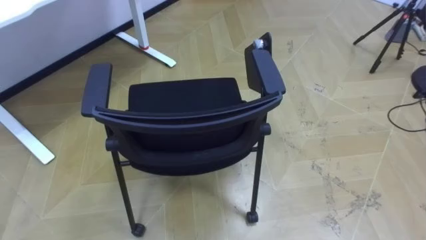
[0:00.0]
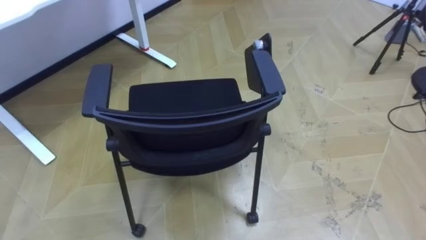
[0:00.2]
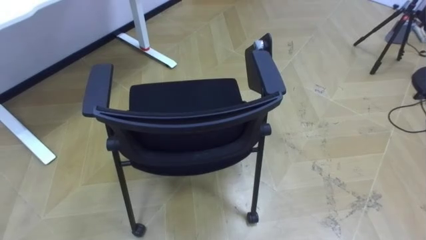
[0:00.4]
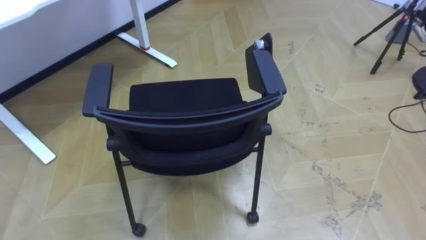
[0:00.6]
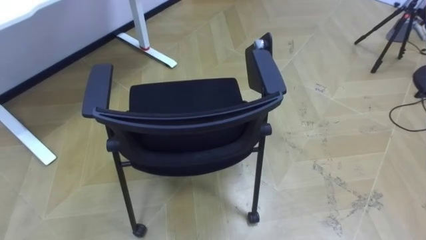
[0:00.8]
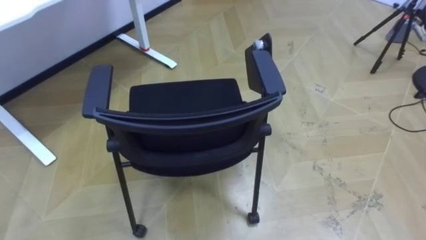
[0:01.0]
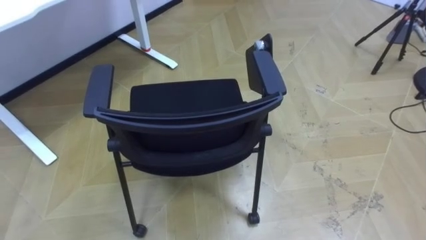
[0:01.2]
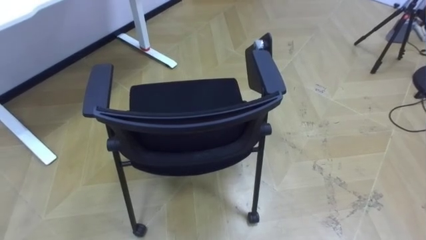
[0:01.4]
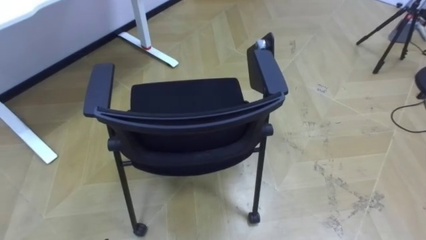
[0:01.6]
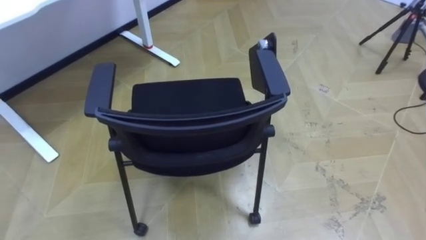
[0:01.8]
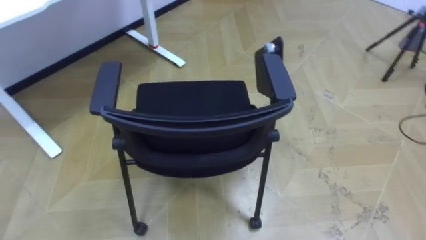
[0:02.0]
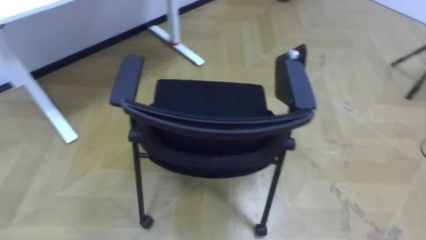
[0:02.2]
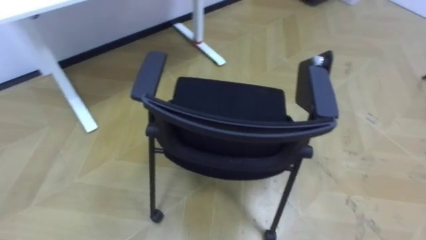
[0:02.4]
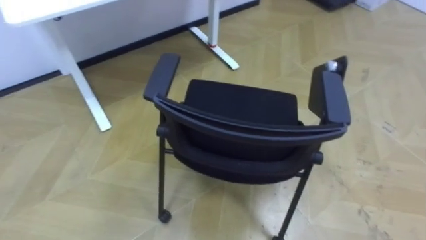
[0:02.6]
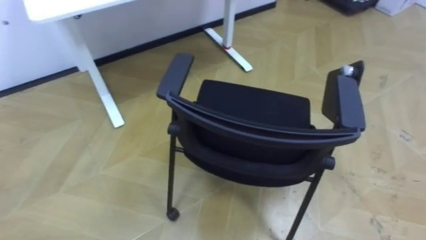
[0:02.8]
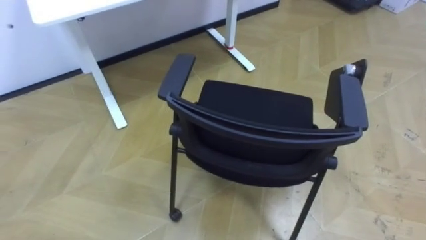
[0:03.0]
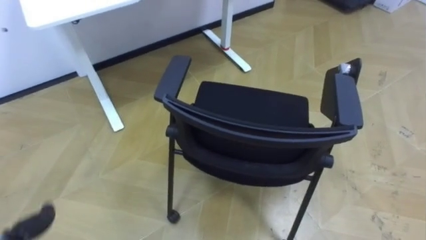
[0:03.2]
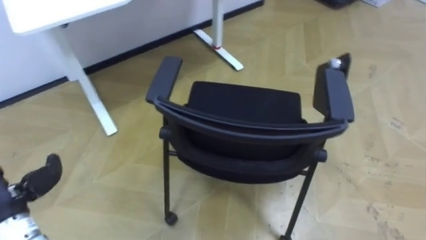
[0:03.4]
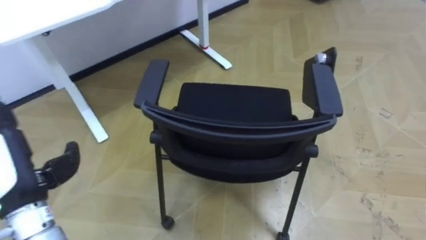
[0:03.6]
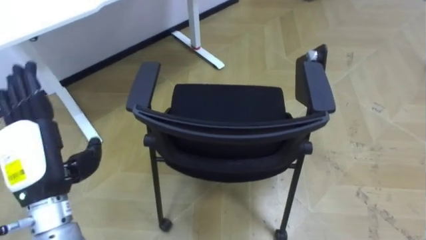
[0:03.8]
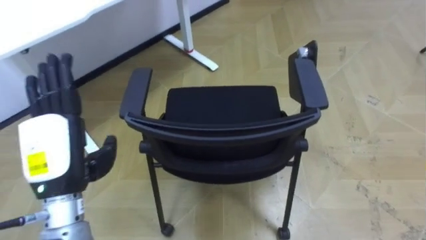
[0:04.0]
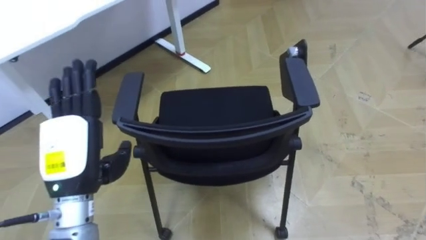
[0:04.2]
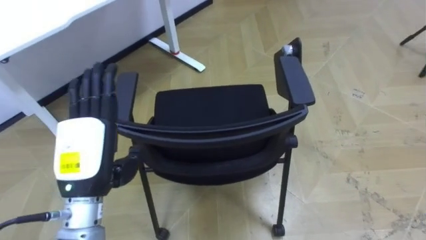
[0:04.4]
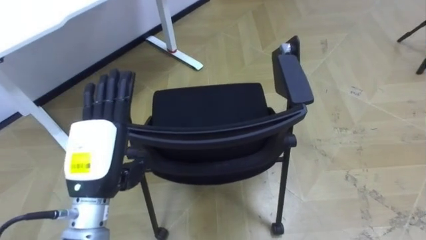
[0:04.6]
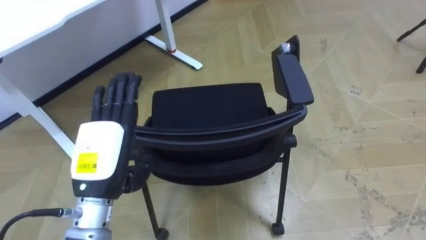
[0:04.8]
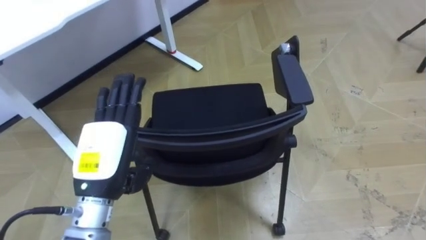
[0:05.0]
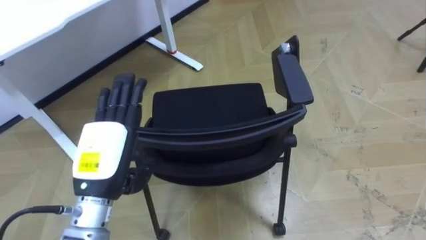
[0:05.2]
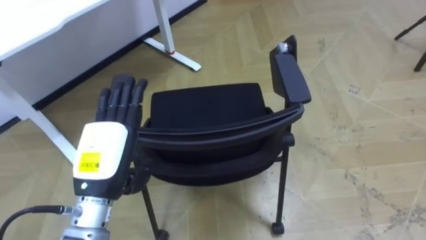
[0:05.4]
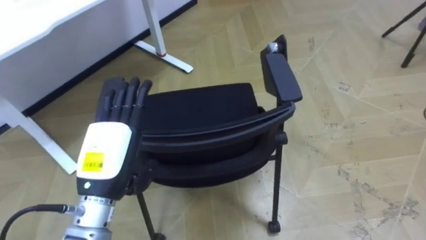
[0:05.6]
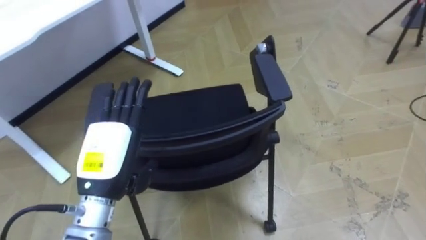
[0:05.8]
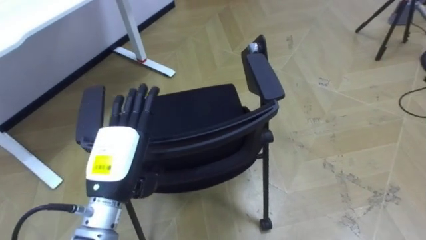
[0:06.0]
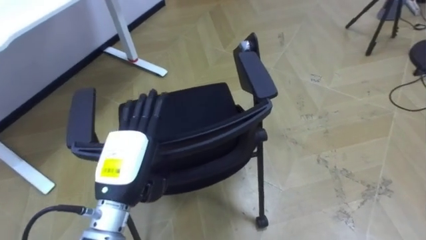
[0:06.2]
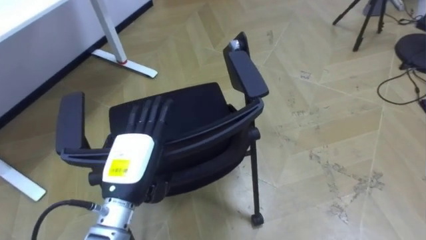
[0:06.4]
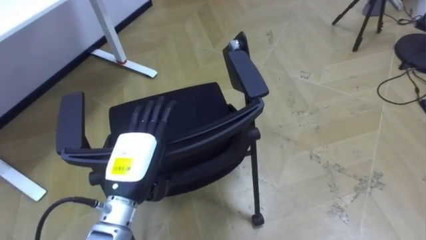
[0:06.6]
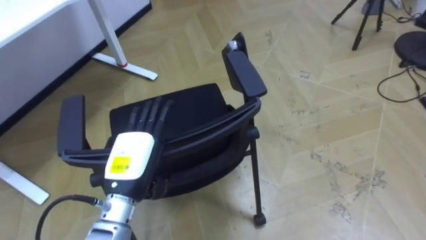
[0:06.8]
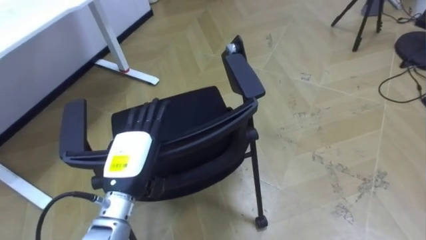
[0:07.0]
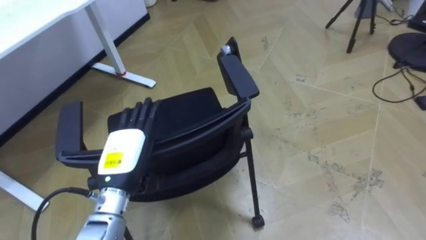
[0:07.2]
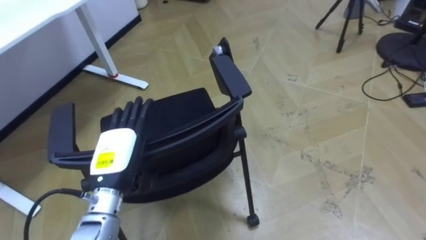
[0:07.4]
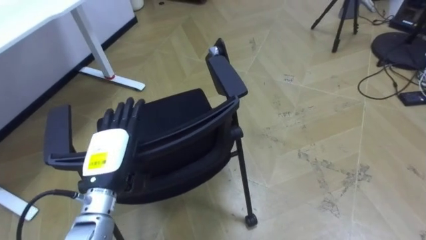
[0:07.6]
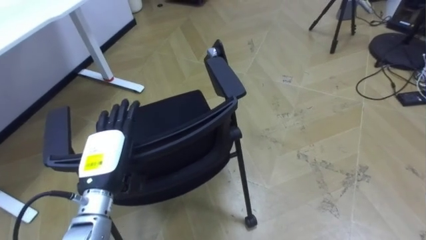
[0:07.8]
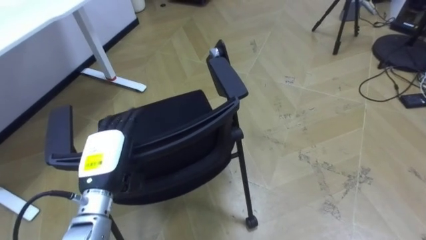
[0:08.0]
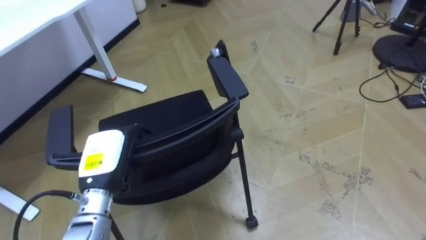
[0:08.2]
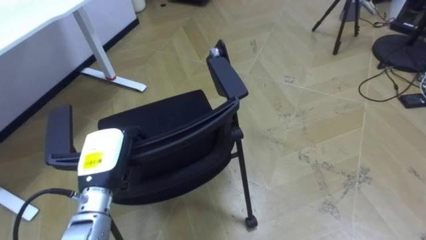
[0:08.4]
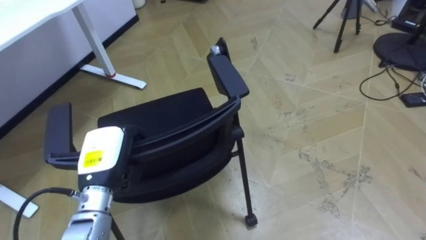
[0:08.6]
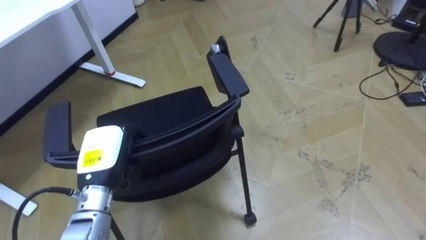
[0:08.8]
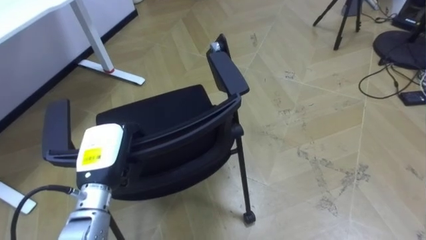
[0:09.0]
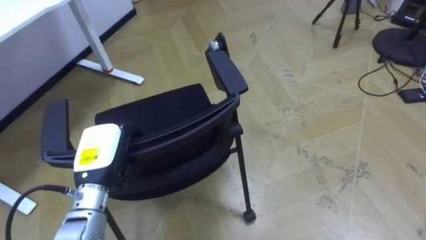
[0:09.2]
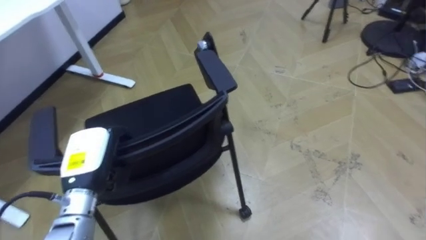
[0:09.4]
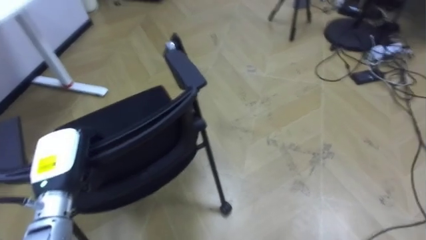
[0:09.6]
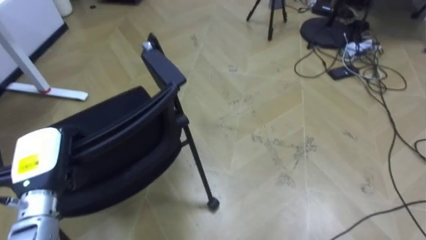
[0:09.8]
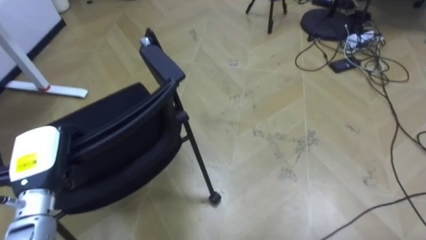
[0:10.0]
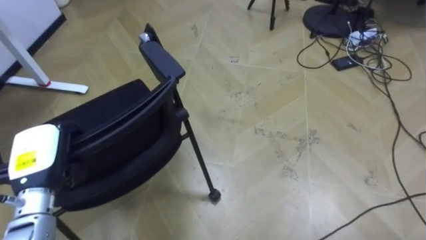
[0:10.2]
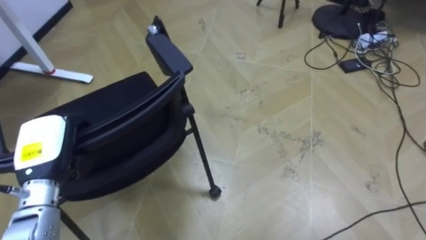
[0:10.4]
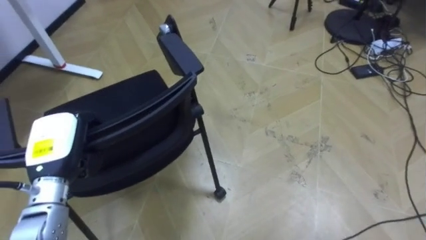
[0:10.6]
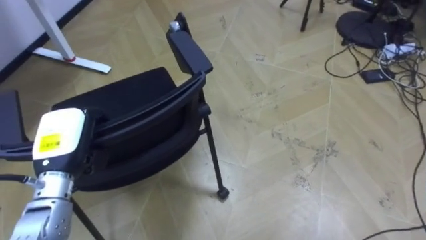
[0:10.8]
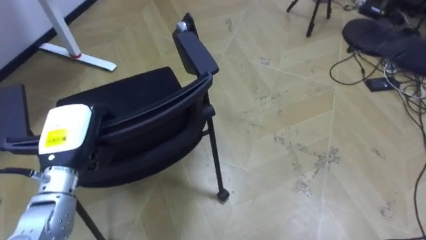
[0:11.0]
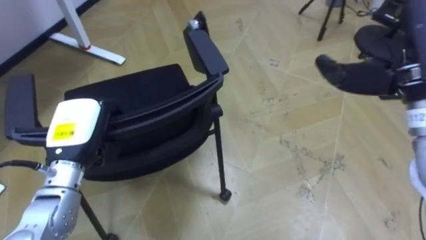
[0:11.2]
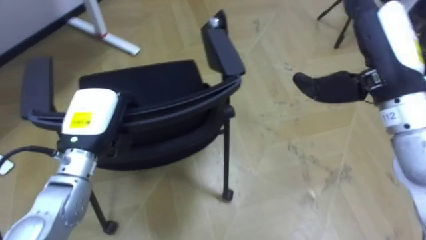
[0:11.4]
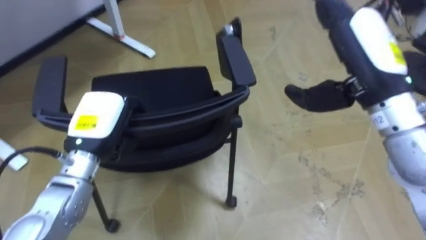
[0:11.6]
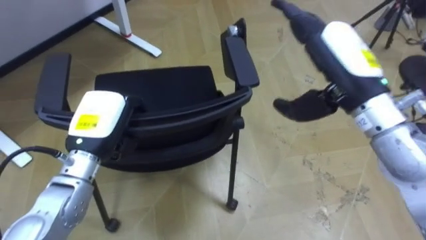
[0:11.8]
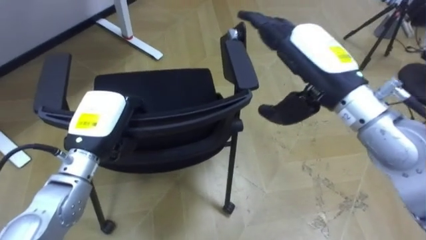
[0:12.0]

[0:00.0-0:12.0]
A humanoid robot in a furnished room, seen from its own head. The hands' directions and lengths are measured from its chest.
Task of the whole recording: Push the chair under the table.
0:06.0 to 0:07.6: The left hand moves downward, roughly 5 cm.
0:07.6 to 0:09.0: The left hand closes up.
0:09.0 to 0:10.4: The left hand is displaced to the left by approximately 10 cm.
0:10.4 to 0:12.0: The left hand heads to the right, covering some 10 cm.

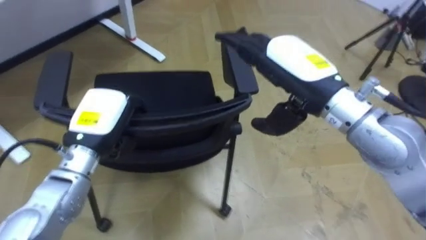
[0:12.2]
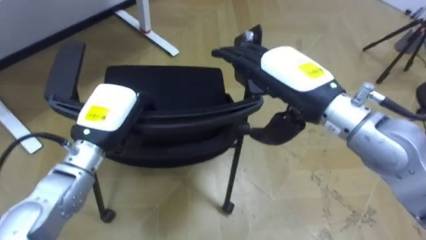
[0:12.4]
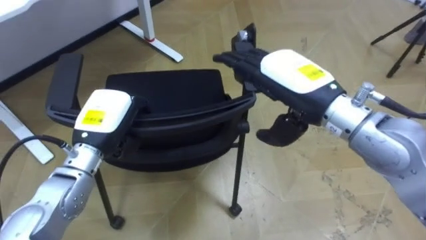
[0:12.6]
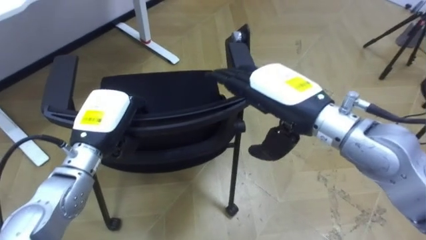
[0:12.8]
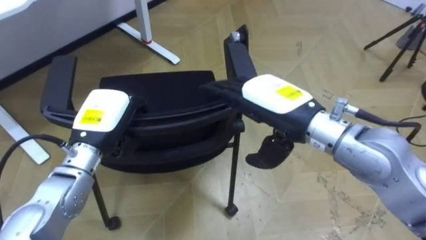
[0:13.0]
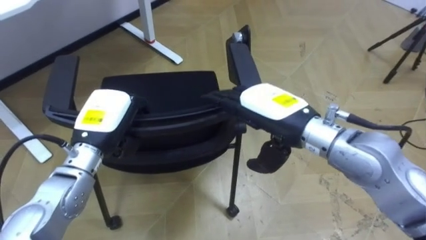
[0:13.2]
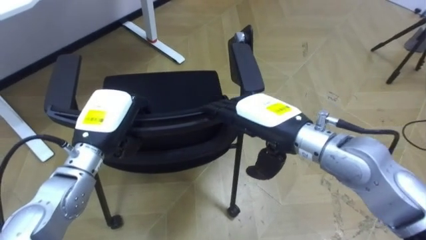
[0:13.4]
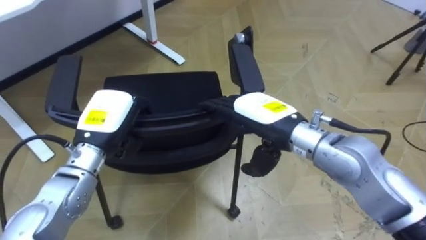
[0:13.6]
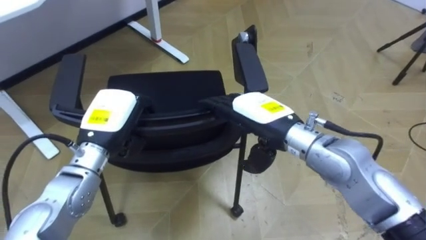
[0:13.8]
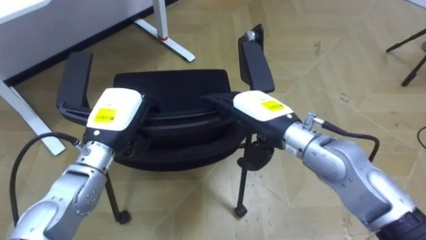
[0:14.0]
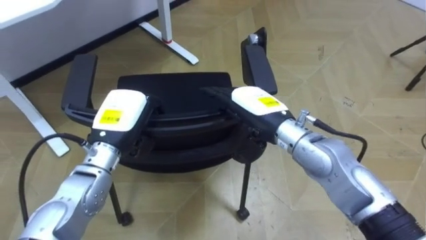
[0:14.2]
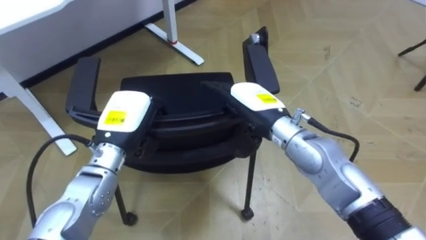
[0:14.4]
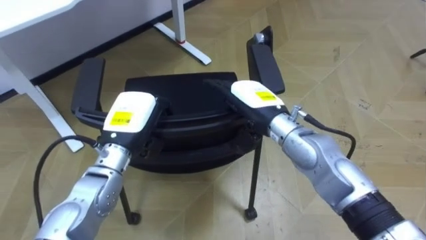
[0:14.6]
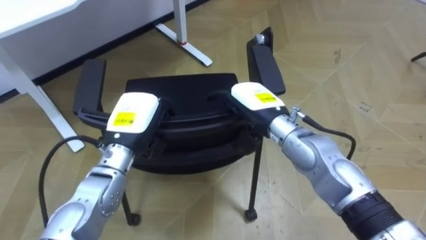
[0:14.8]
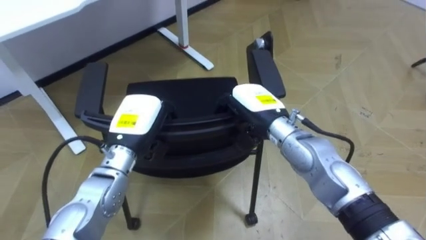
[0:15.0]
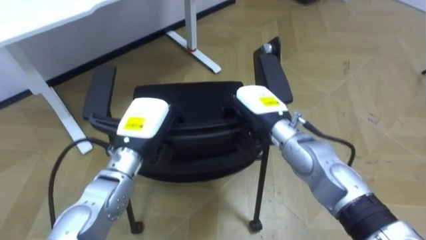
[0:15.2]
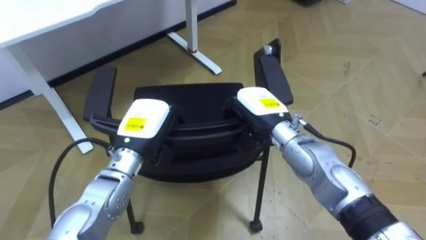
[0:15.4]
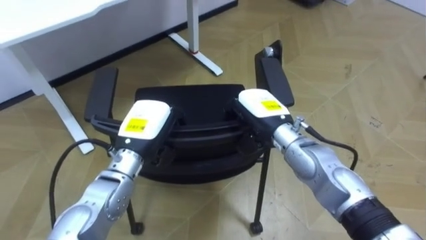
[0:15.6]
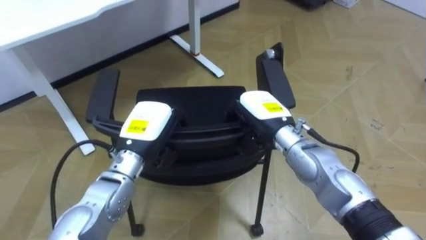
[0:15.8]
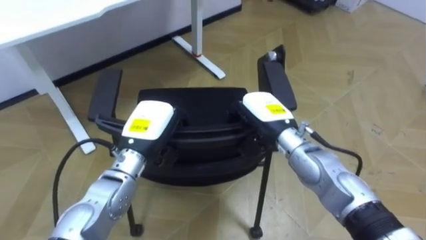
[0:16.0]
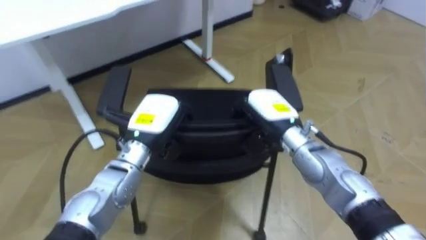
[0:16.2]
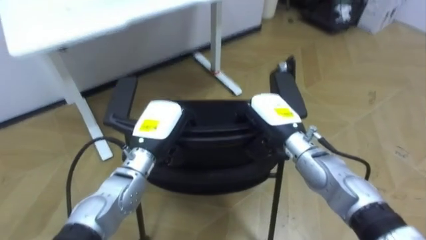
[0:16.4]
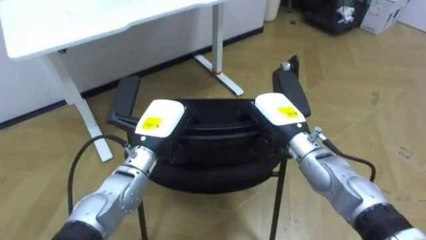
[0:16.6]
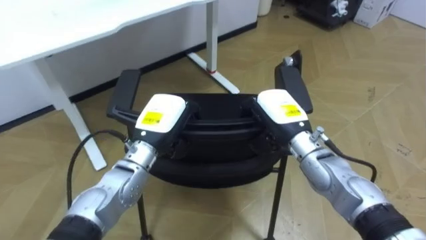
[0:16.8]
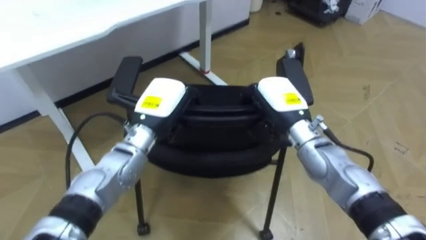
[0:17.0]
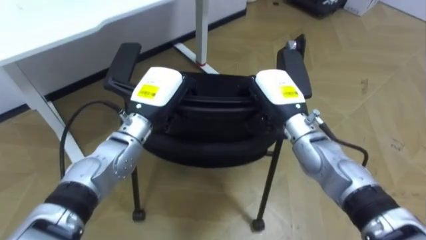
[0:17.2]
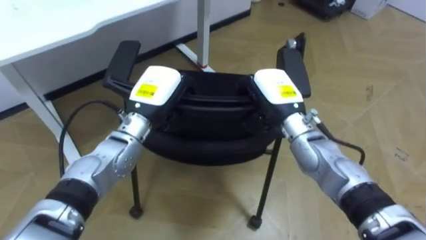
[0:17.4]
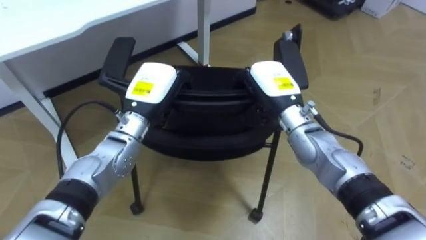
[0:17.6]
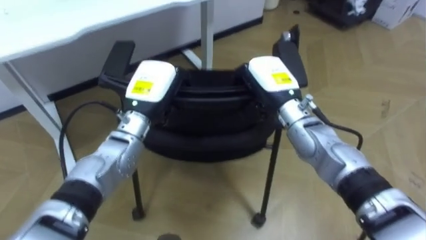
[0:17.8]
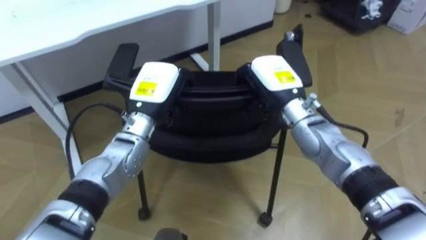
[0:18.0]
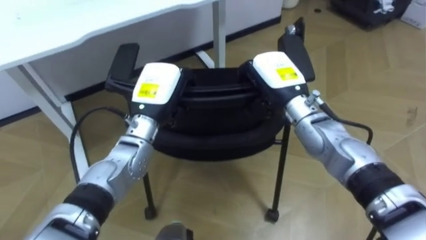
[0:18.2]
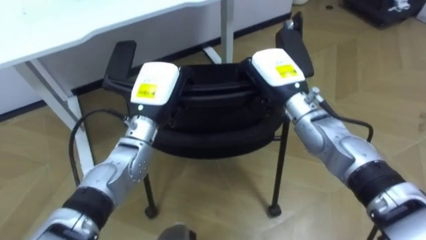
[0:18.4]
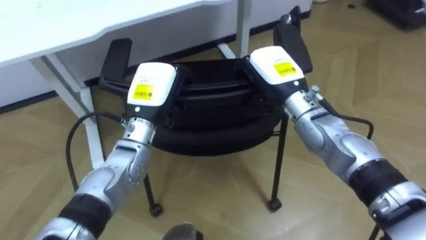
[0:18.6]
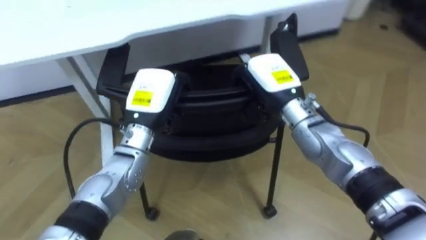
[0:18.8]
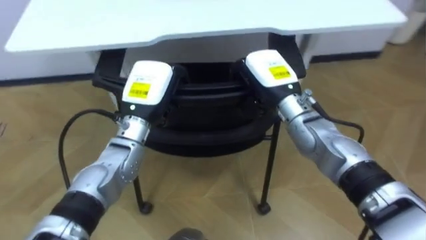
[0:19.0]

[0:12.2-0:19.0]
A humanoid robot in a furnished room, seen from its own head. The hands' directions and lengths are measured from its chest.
Task of the whole recording: Push the chair under the table.
0:12.2 to 0:13.6: The right hand goes about 10 cm downward.
0:13.6 to 0:15.0: The right hand shifts approximately 5 cm forward, and closes.
0:16.2 to 0:17.6: The left hand moves roughly 5 cm.
